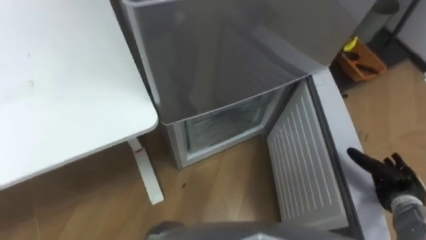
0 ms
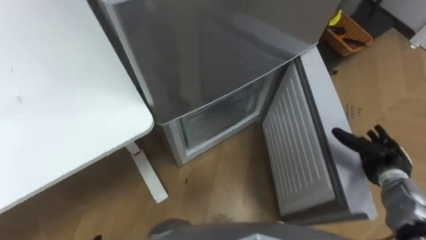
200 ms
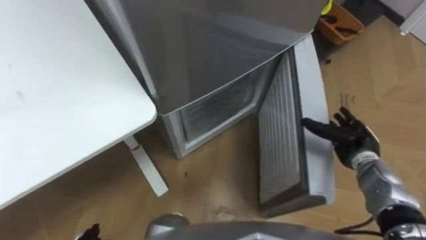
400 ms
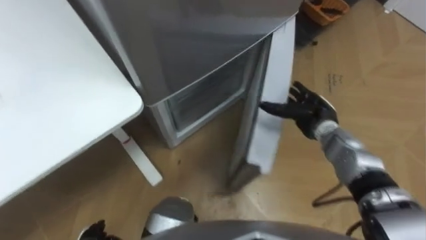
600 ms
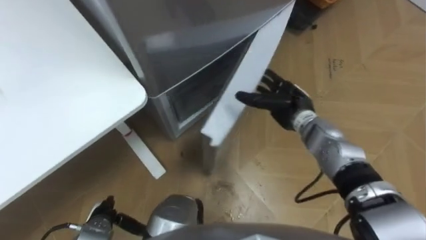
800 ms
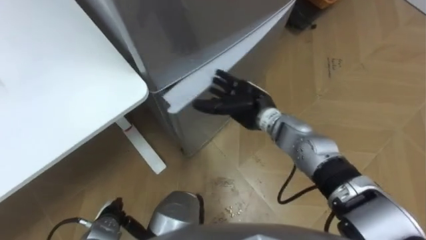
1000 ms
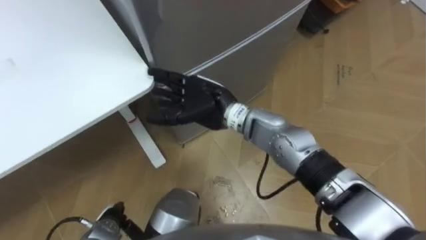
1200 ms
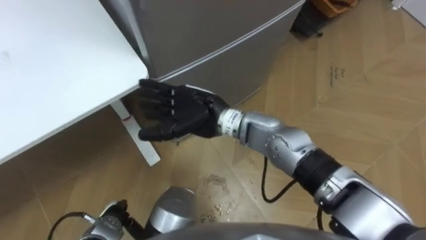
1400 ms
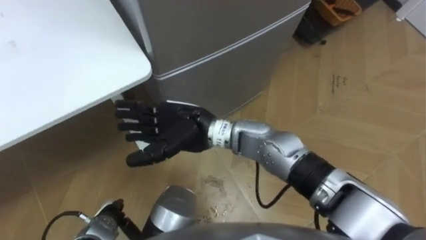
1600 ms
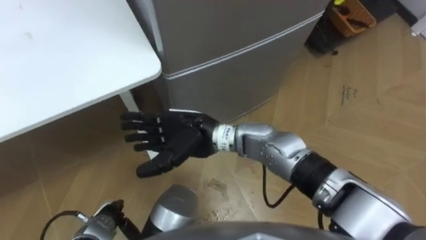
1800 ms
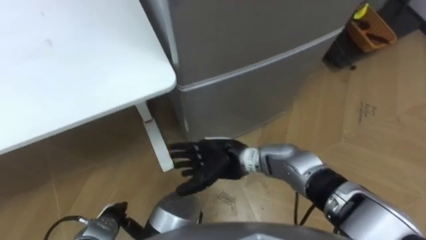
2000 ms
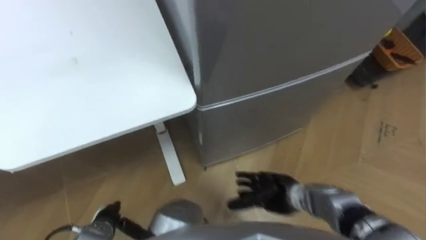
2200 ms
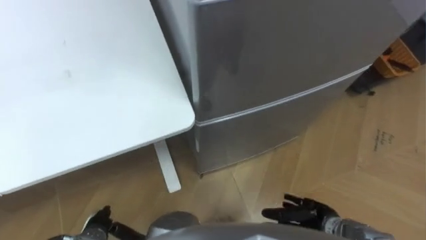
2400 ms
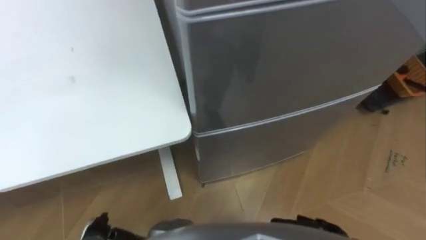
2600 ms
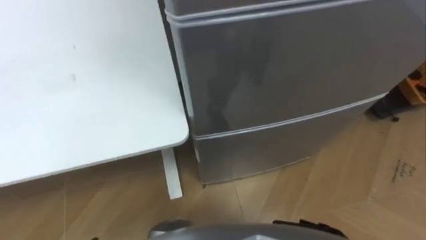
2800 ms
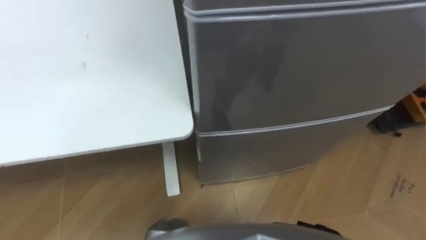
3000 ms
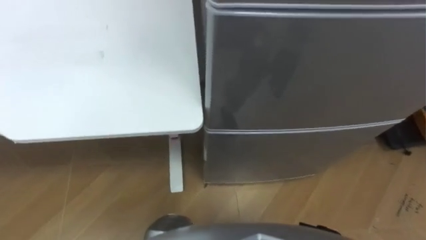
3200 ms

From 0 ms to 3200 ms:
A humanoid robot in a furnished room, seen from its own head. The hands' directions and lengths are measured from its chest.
Task of the whole recording: Place the drink on the table on the bottom shelf of the refrigerator, then close the drawer and the refrigerator door.
From 0 ms to 1600 ms: The right hand heads to the left, covering about 40 cm.

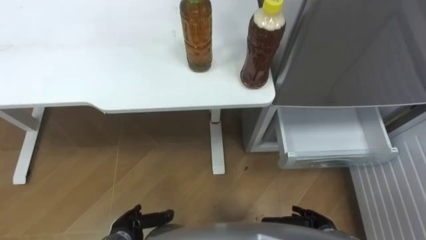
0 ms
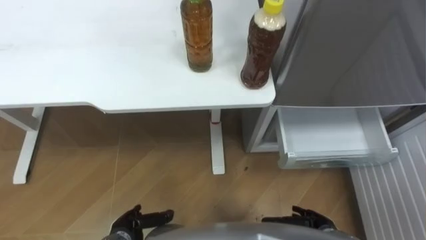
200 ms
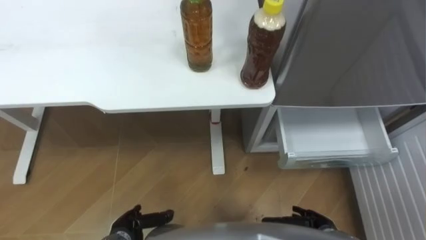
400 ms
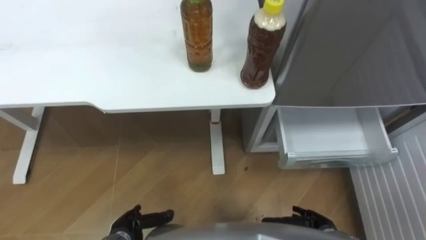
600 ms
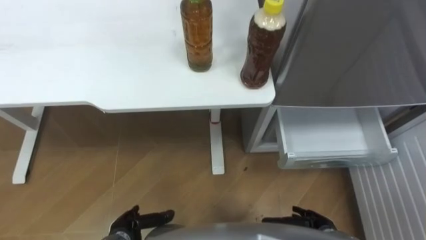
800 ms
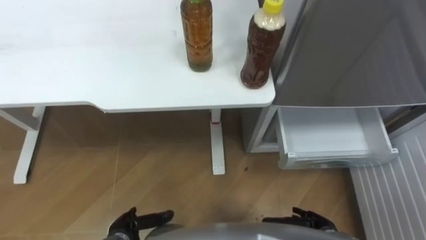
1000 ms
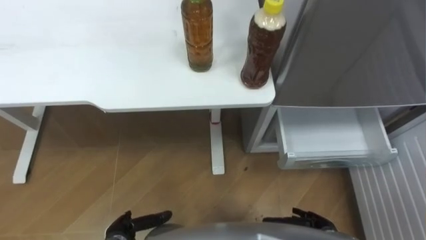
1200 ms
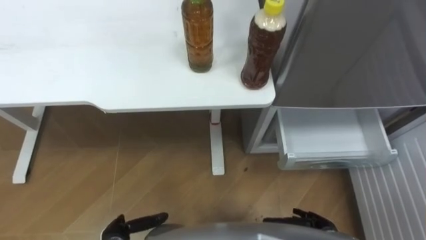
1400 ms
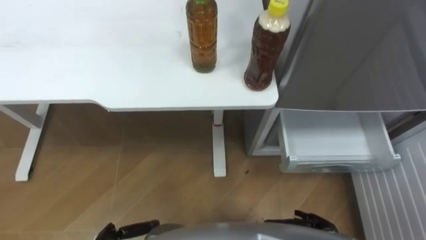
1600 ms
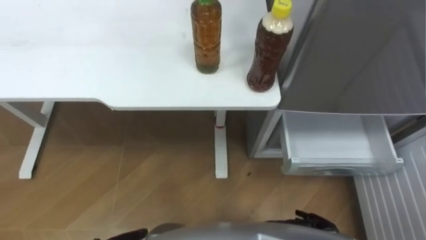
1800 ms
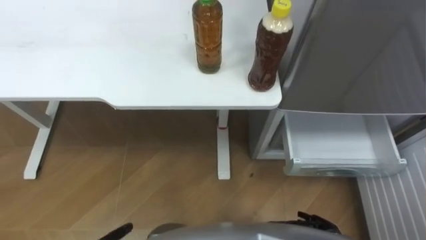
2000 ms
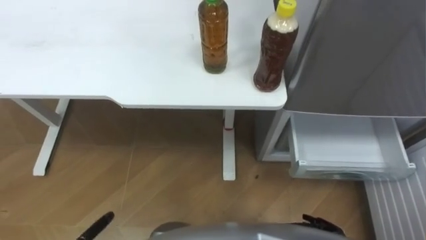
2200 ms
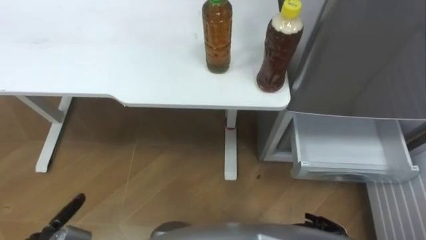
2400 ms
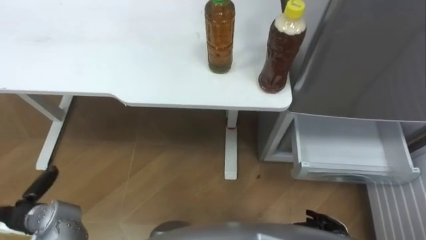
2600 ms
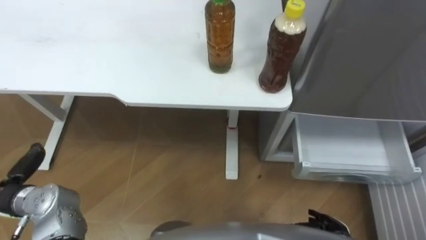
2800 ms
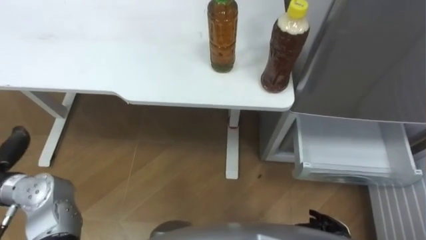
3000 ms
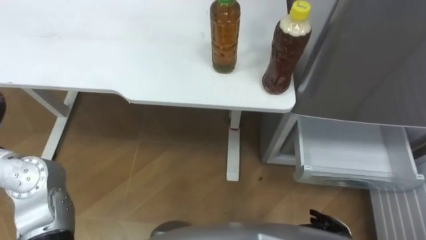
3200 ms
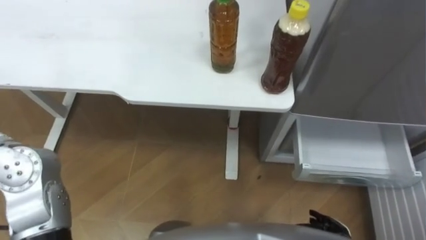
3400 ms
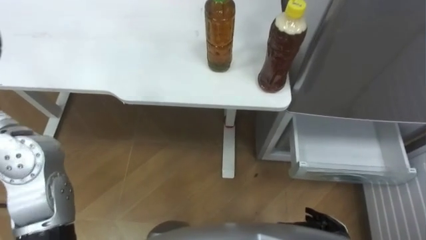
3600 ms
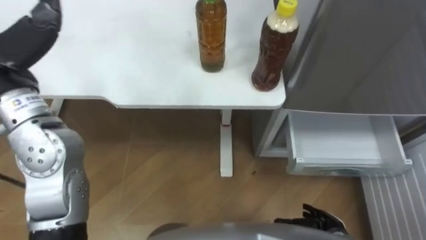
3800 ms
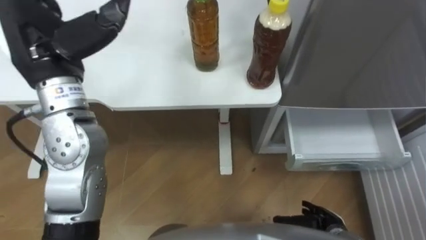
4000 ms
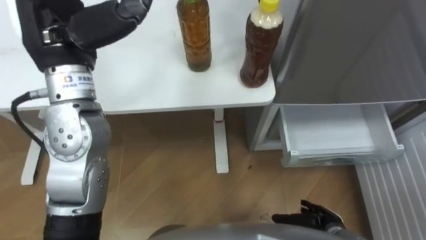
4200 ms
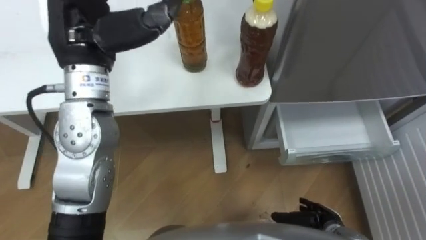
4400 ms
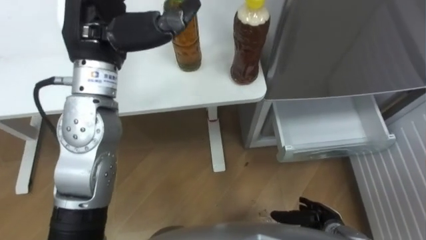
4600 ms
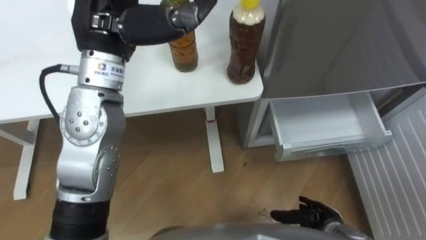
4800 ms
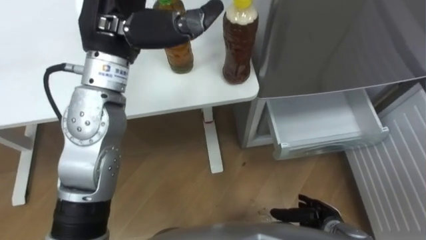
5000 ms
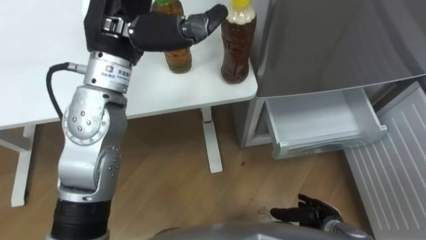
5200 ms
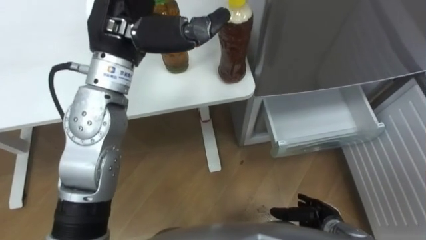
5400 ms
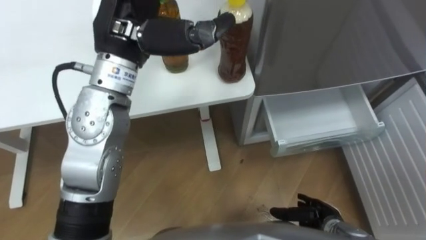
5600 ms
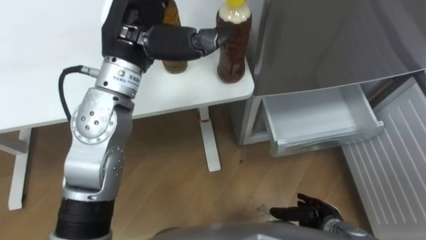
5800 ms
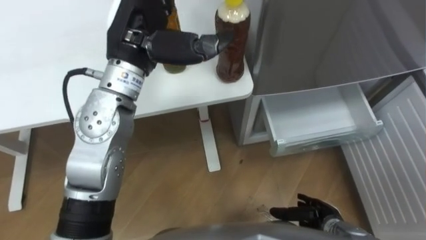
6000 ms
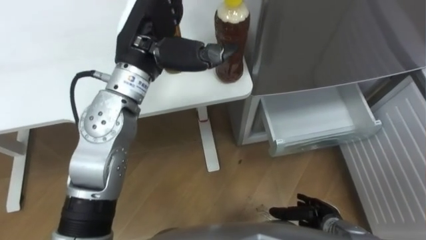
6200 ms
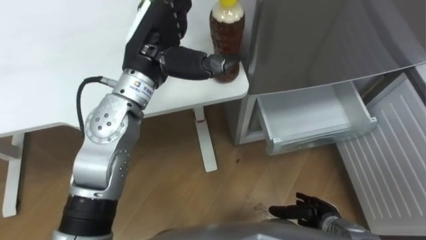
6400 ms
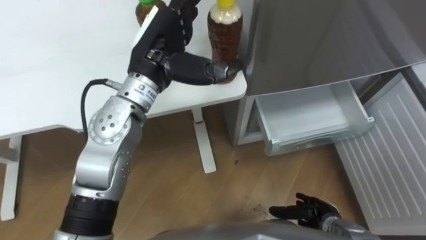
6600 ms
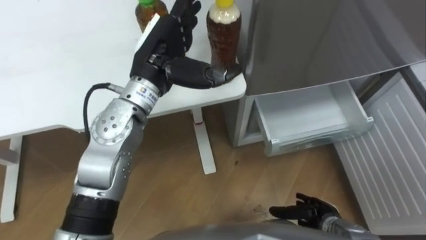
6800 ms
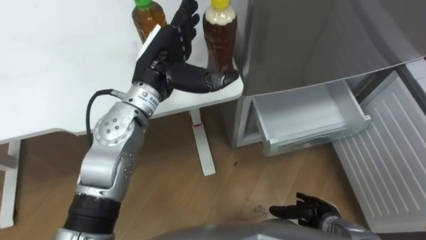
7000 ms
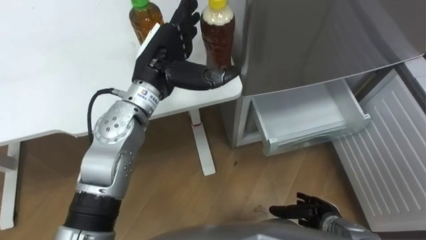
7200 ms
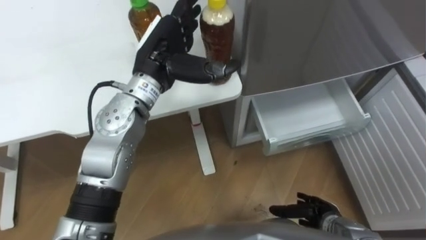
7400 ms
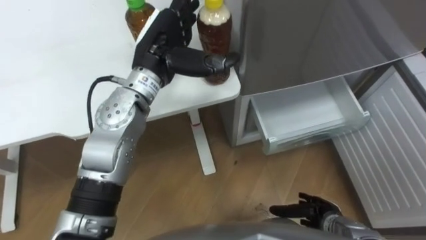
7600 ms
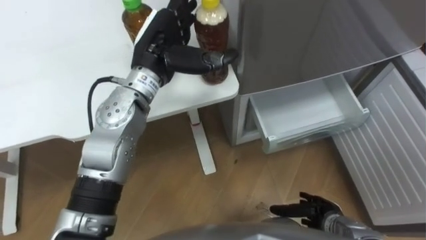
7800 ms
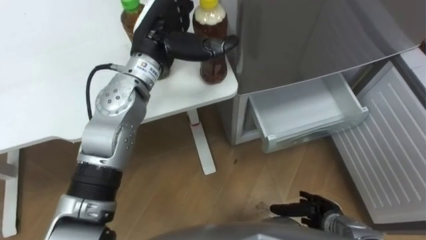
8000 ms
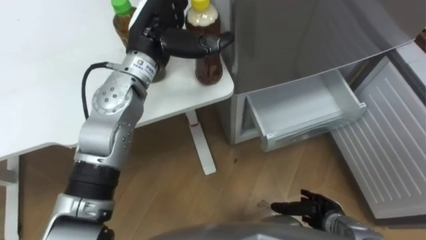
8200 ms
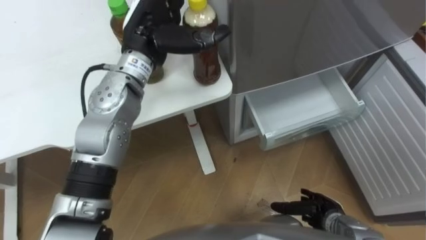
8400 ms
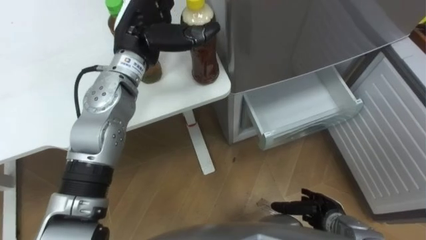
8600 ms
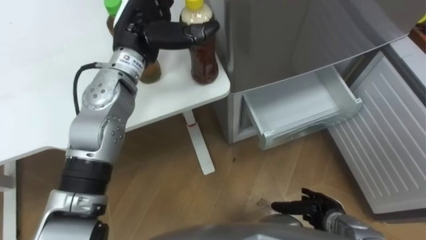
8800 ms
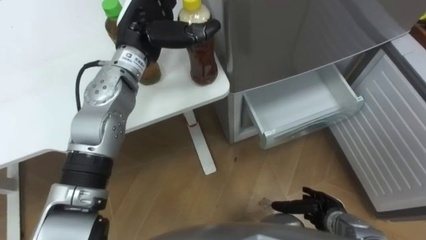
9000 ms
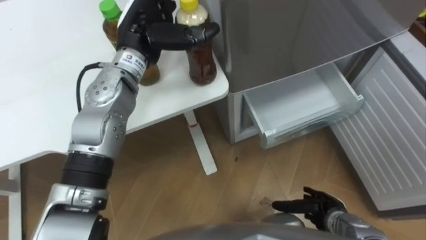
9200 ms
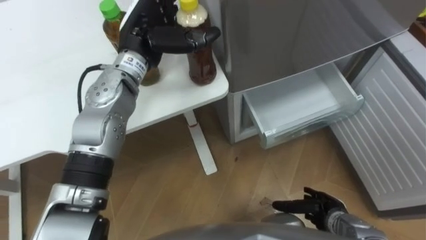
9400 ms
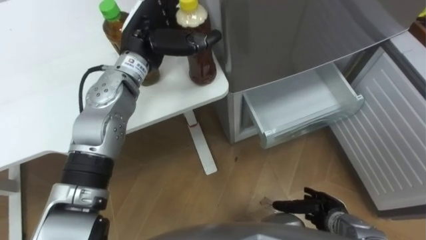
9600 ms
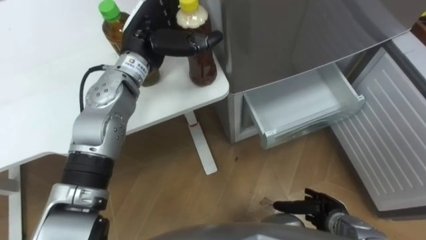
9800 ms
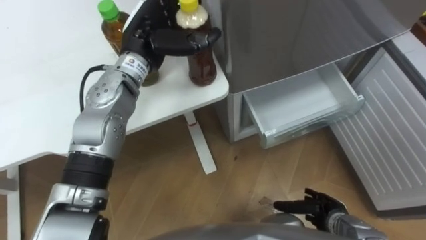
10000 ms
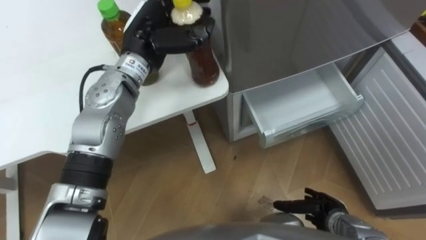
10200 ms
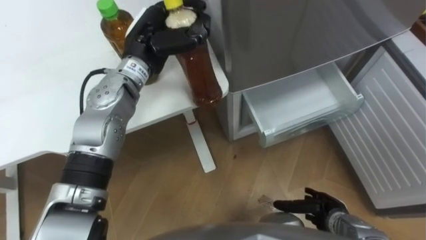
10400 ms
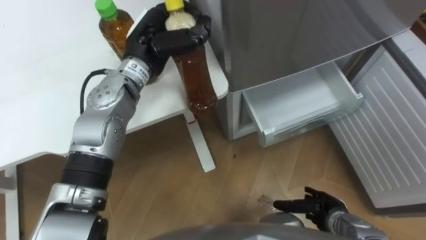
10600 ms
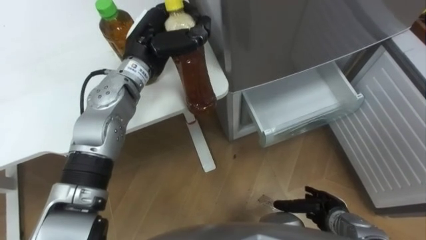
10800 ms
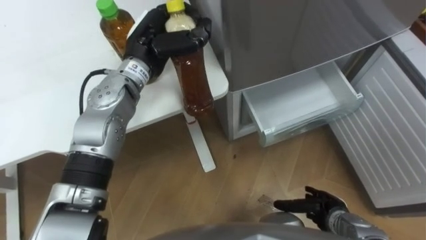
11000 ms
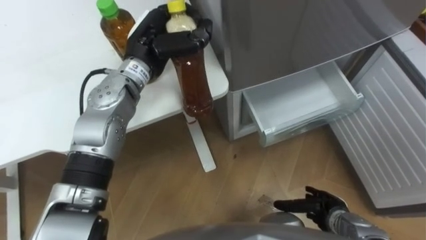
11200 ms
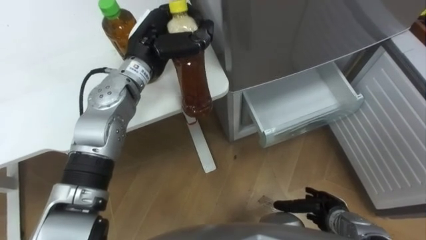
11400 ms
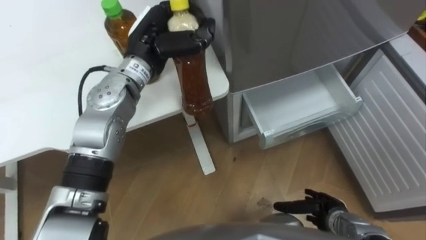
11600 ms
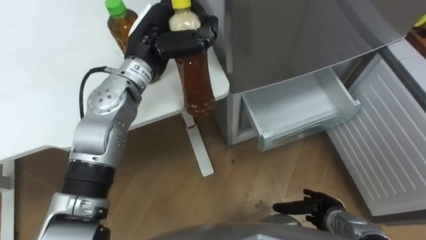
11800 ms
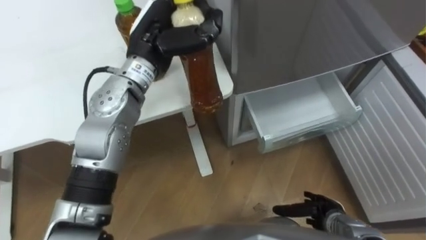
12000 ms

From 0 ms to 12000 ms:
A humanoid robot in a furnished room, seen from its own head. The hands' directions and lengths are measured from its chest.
Task of the whole recording: Place the drink on the table on the bottom shelf of the refrigerator, then close the drawer and the refrigerator door.
From 4400 ms to 6000 ms: The left hand heads to the right, covering some 5 cm.
From 6000 ms to 7600 ms: The left hand heads downward, covering approximately 5 cm.
From 9000 ms to 10400 ms: The left hand closes its fingers.

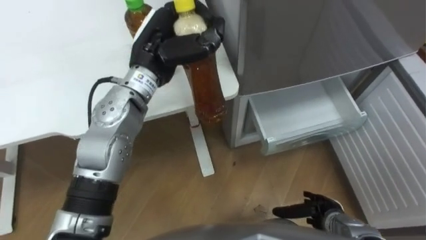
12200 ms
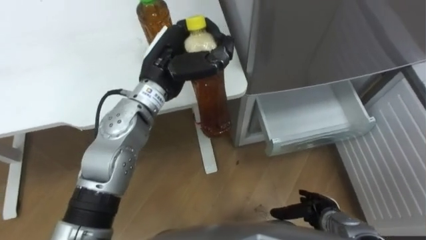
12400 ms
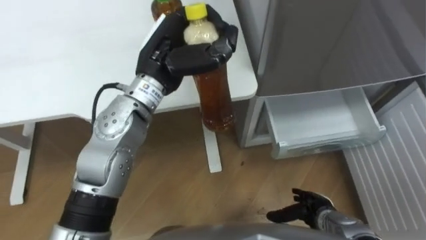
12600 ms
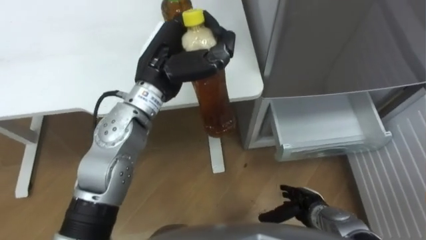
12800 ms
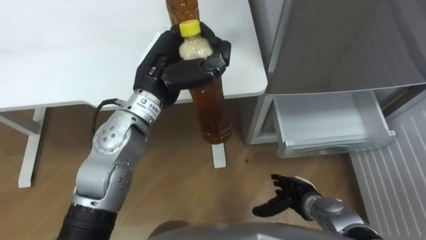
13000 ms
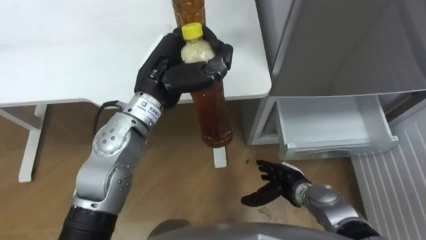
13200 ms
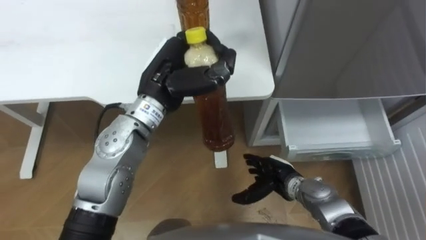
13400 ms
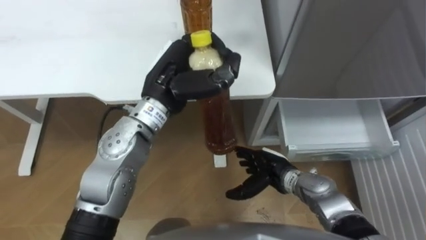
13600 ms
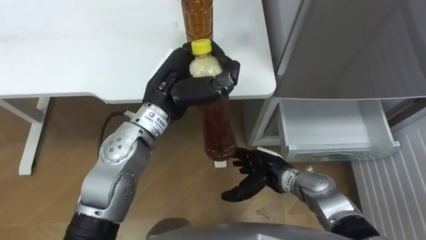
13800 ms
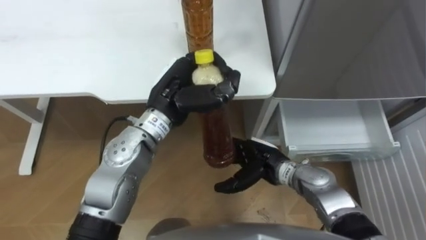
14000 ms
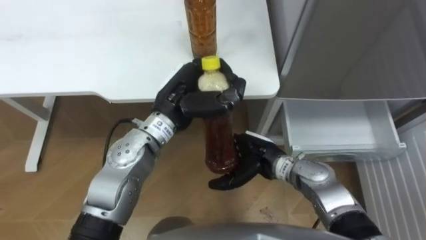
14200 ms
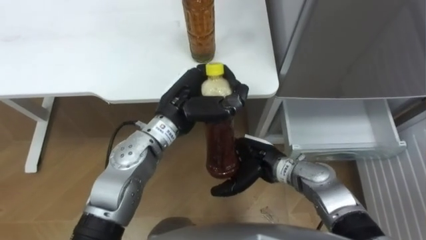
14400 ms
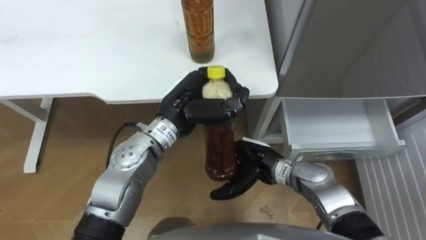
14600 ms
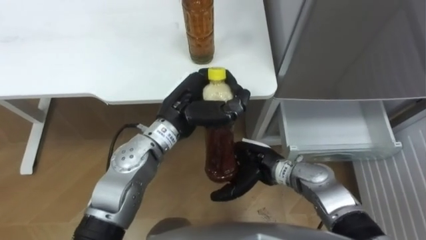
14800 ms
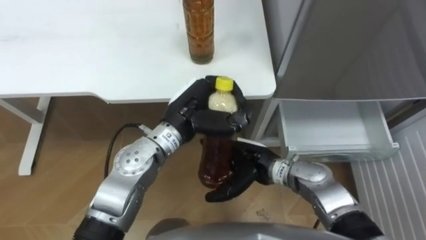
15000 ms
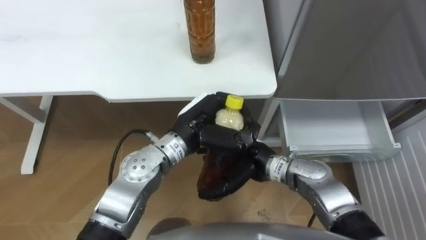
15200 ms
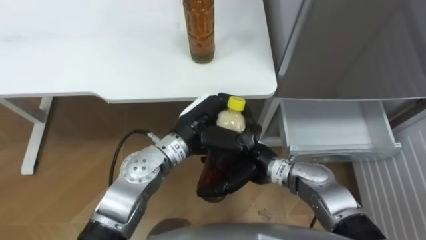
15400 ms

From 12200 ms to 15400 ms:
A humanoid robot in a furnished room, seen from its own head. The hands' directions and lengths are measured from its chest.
Task of the whole recording: Place the drink on the table on the bottom shelf of the refrigerator, then close the drawer and the refrigerator door.
From 12200 ms to 13800 ms: The left hand shifts approximately 5 cm backward. Meanwhile the right hand moves to the left, forward and upward, approximately 20 cm.
From 13800 ms to 15400 ms: The right hand is displaced upward and to the left by roughly 10 cm; the left hand heads downward, covering approximately 5 cm.
